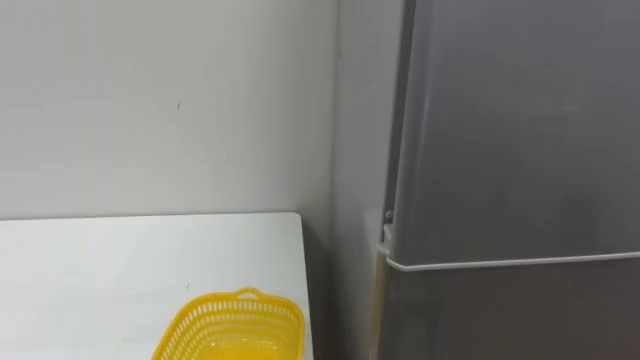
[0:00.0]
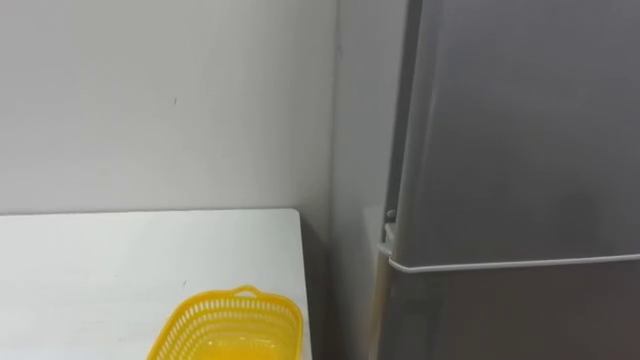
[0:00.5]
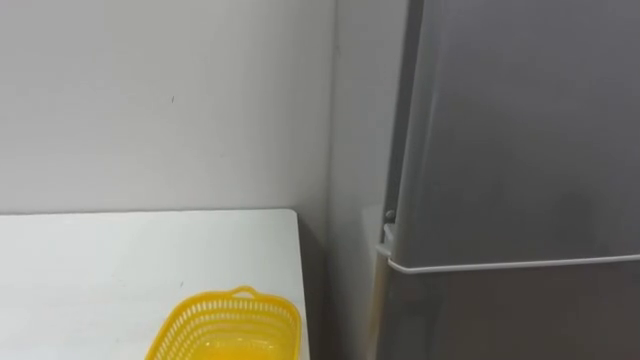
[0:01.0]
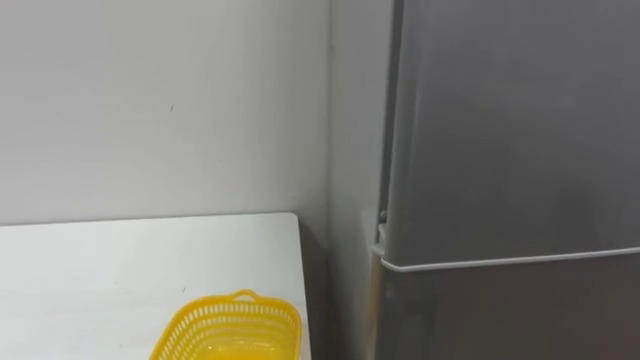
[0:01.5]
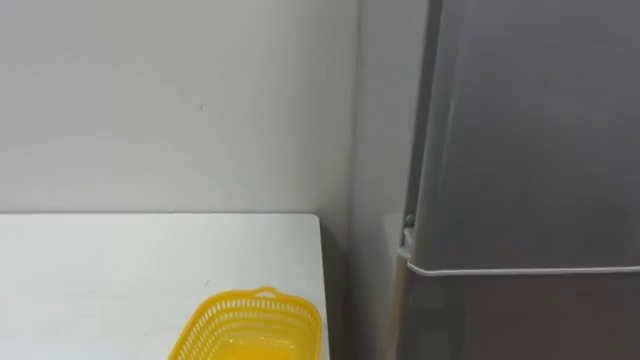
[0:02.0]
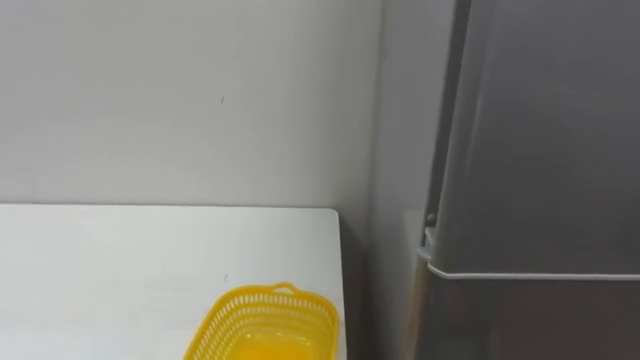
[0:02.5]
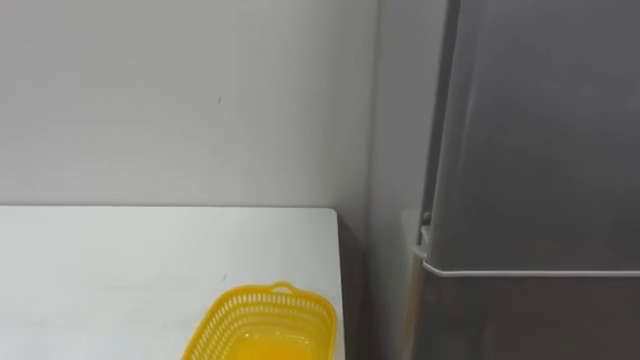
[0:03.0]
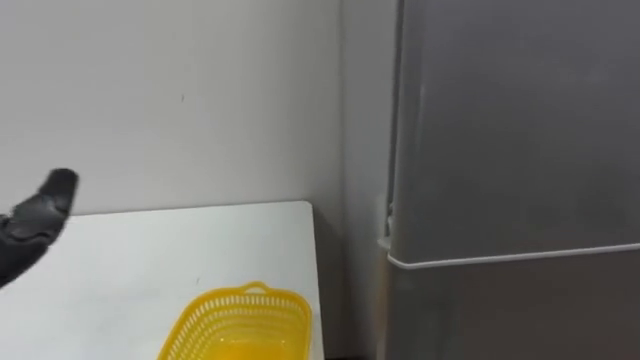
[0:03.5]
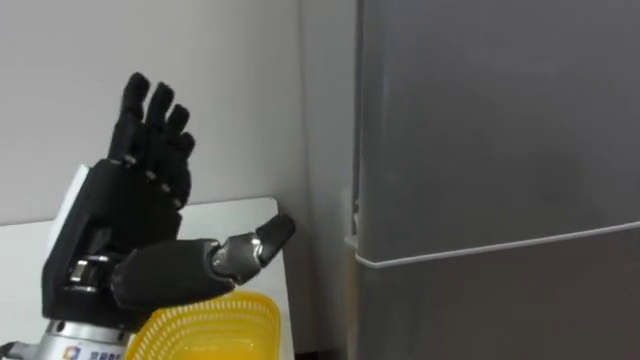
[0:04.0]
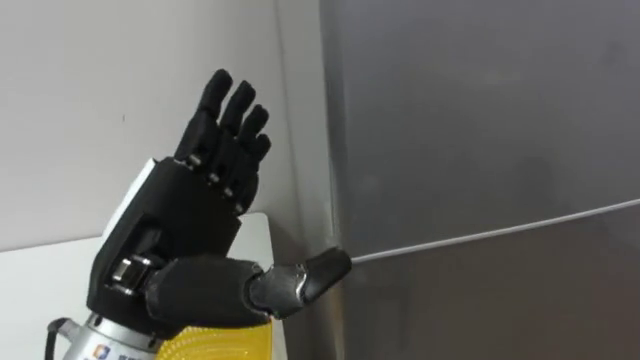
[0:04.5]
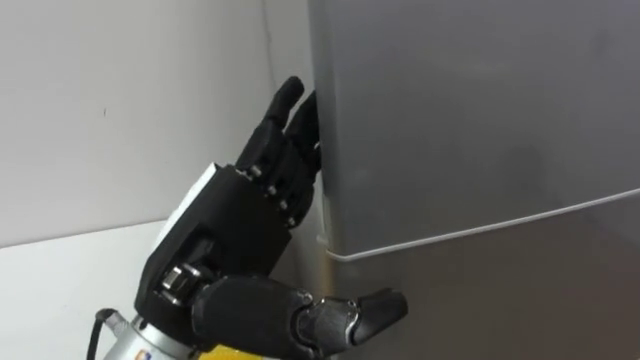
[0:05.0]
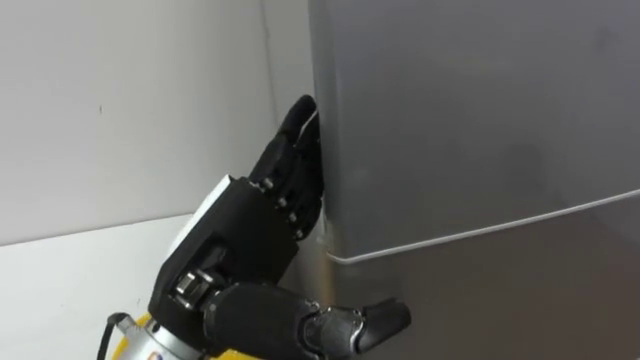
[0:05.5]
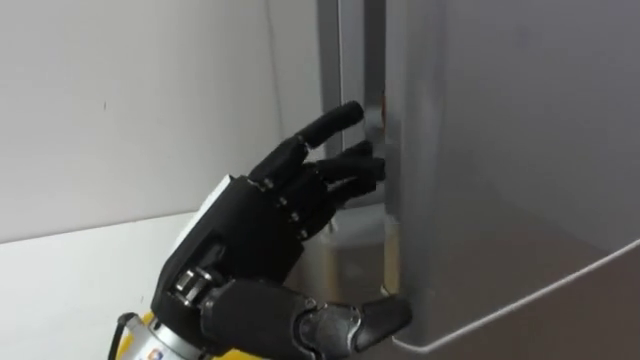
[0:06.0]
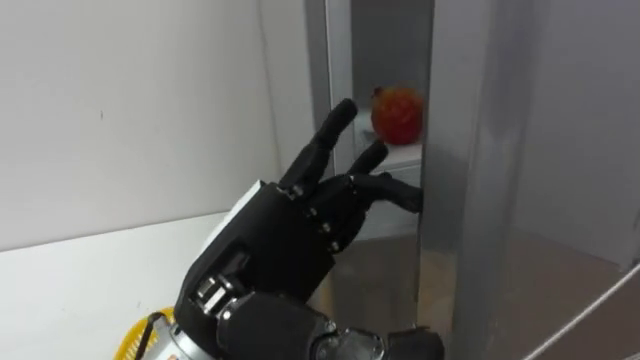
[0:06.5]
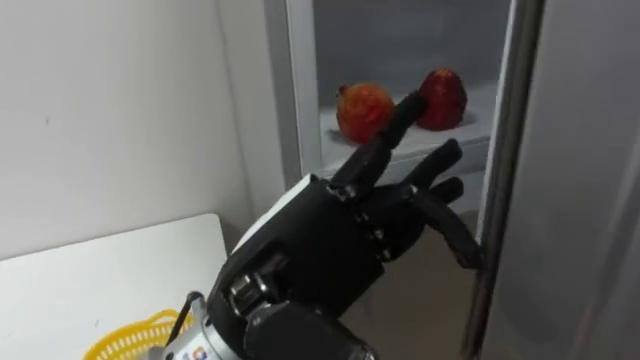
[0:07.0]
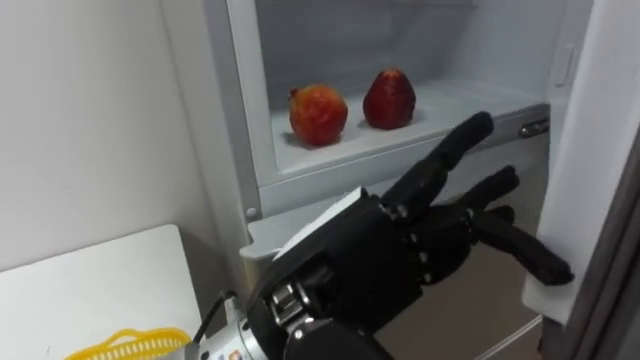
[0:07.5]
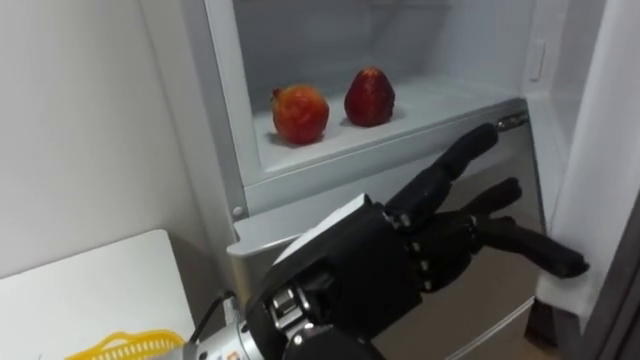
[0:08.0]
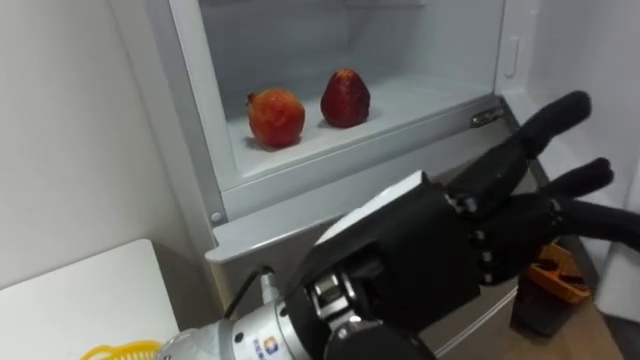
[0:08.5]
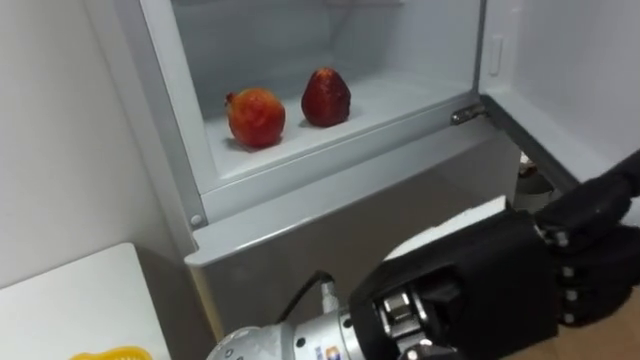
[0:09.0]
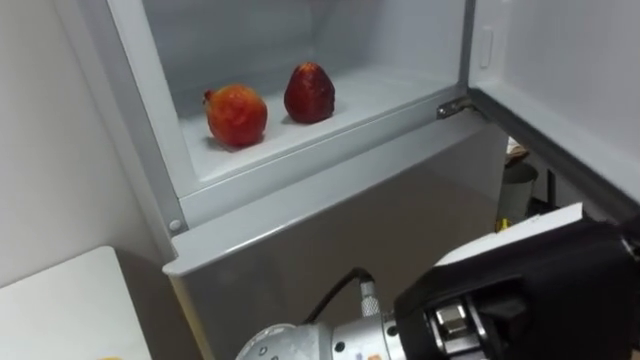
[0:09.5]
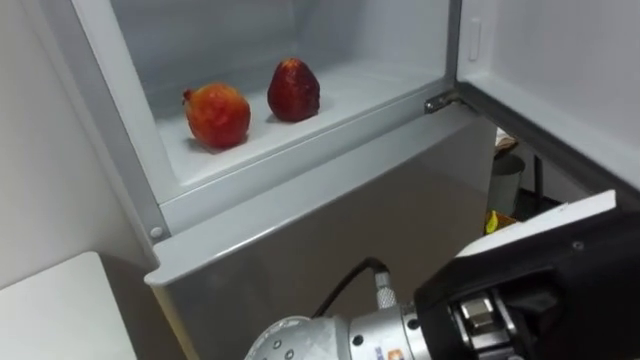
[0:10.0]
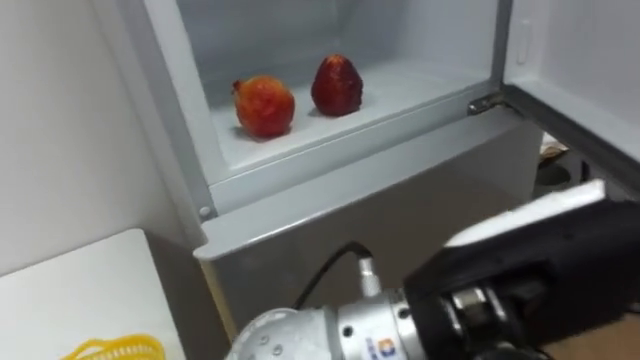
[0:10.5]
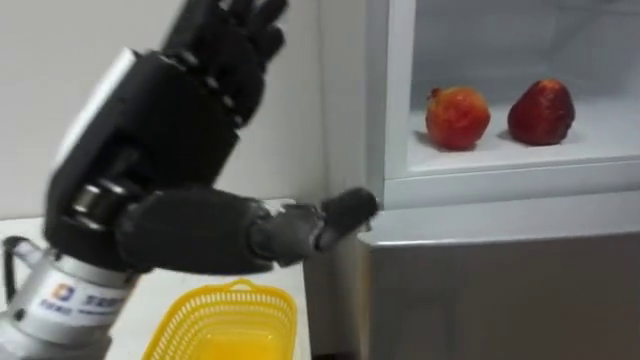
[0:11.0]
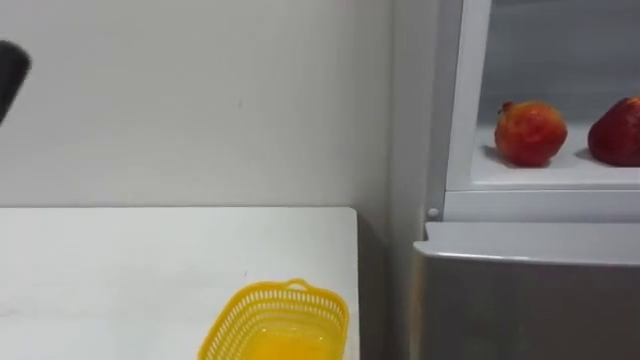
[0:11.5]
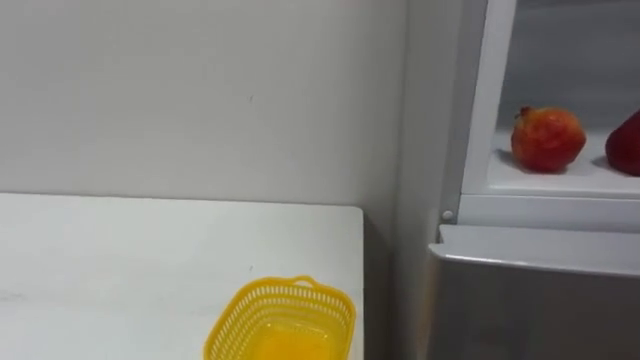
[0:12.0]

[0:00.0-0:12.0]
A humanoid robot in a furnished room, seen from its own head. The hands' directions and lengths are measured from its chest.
Task of the whole recording: Open the refrigerator door, take out the apple and the pomegranate, place them in the fruit basket on the left, and close the refrigerator door.
0:04.0 to 0:06.0: The left hand travels to the right by about 10 cm.
0:06.0 to 0:08.0: The left hand moves to the right, about 10 cm.
0:08.0 to 0:10.0: The left hand heads to the right and backward, covering approximately 10 cm.

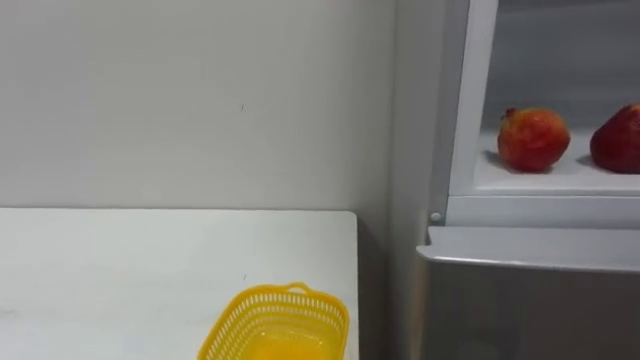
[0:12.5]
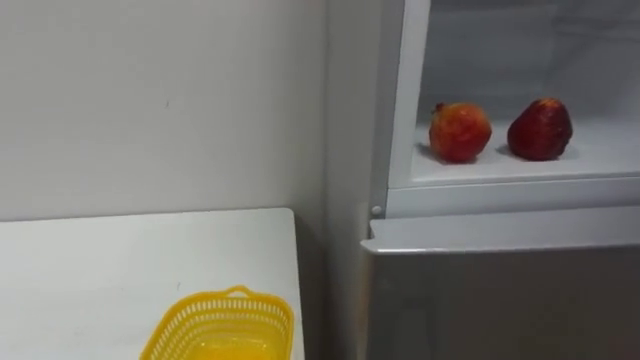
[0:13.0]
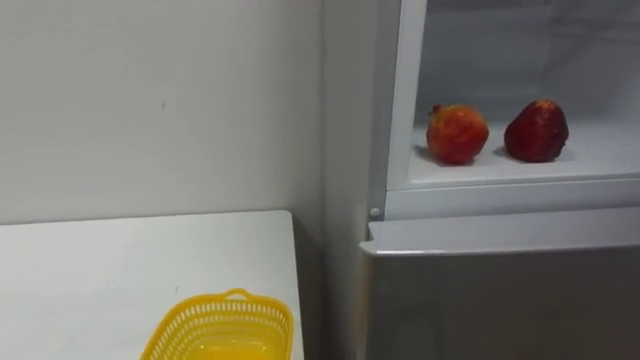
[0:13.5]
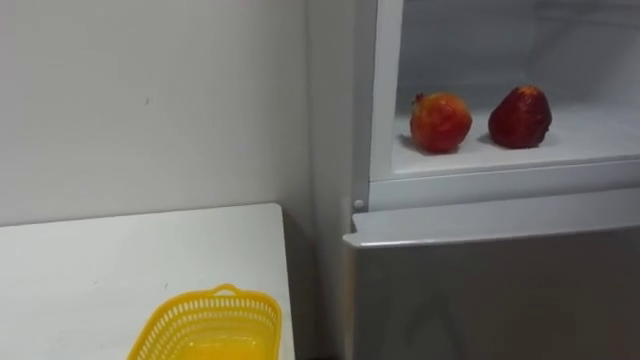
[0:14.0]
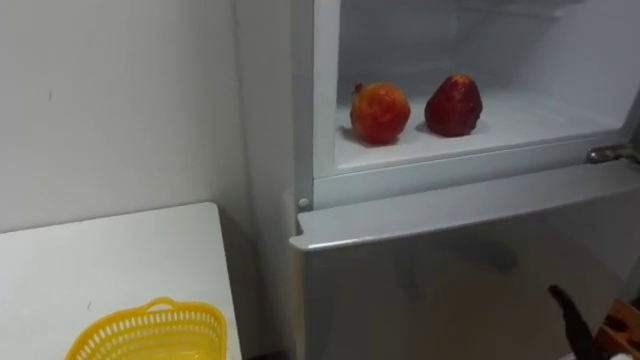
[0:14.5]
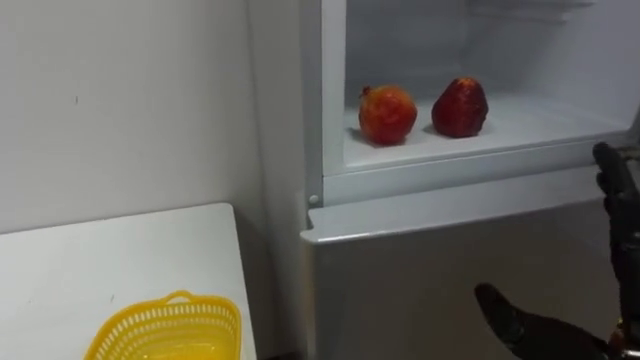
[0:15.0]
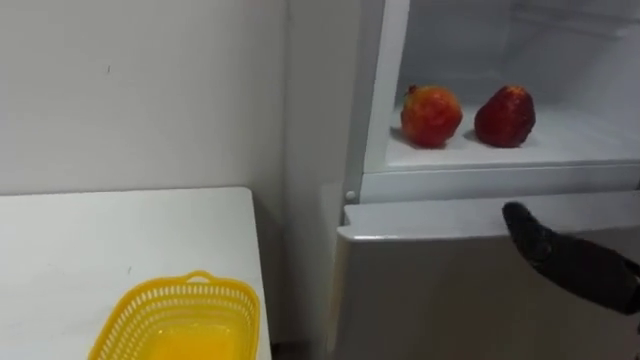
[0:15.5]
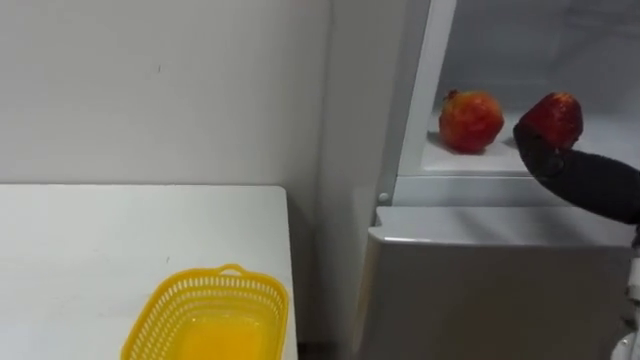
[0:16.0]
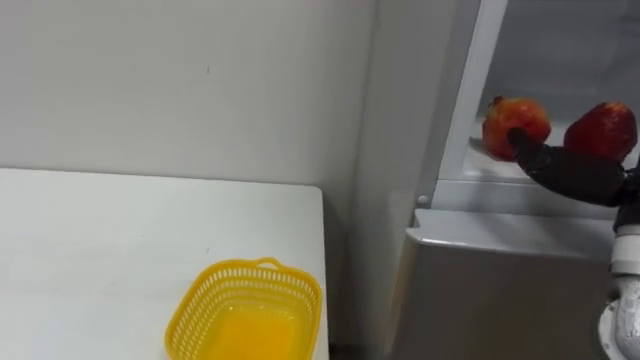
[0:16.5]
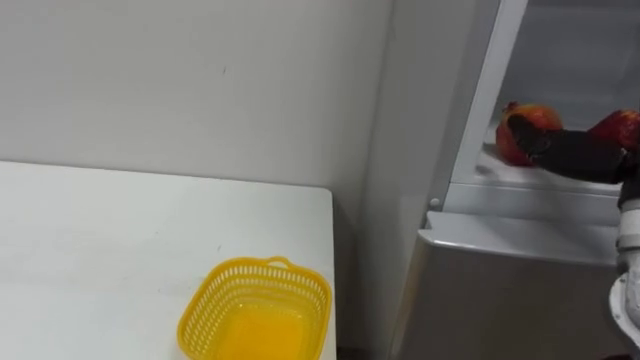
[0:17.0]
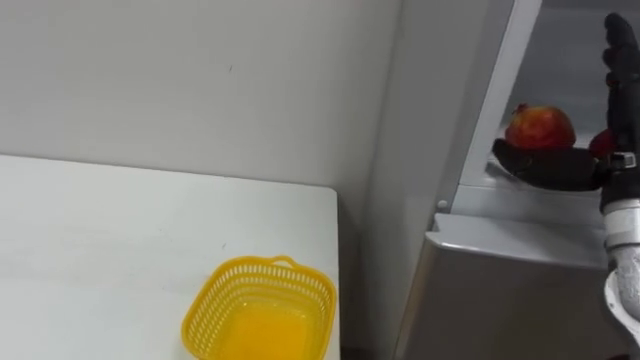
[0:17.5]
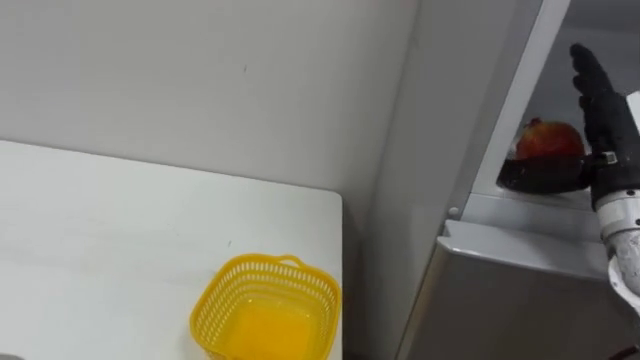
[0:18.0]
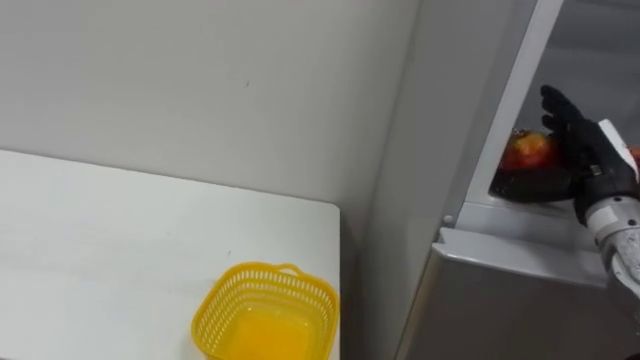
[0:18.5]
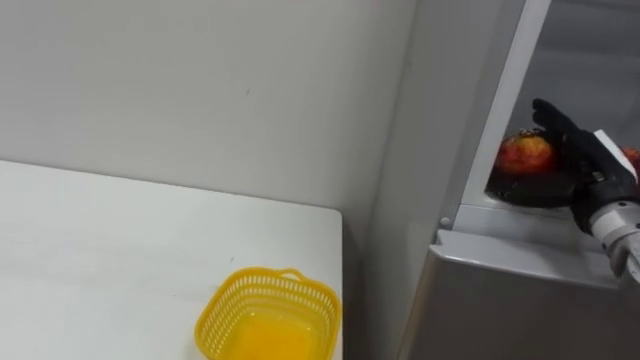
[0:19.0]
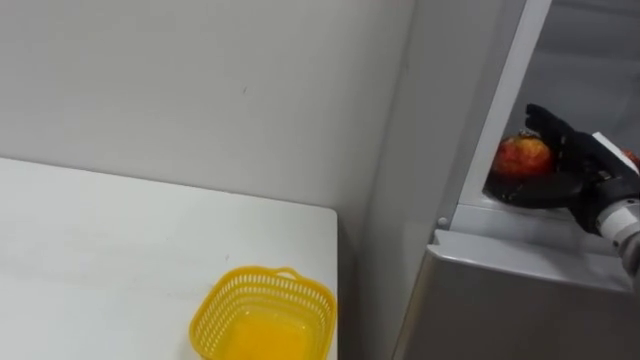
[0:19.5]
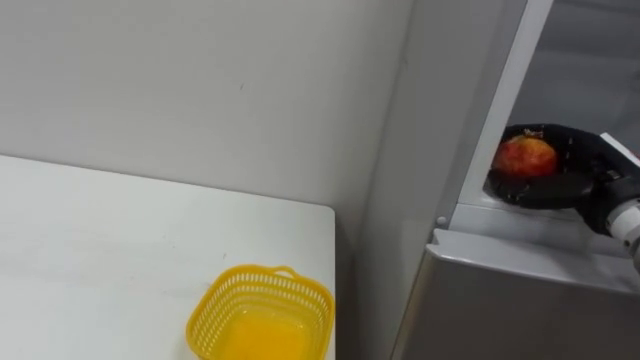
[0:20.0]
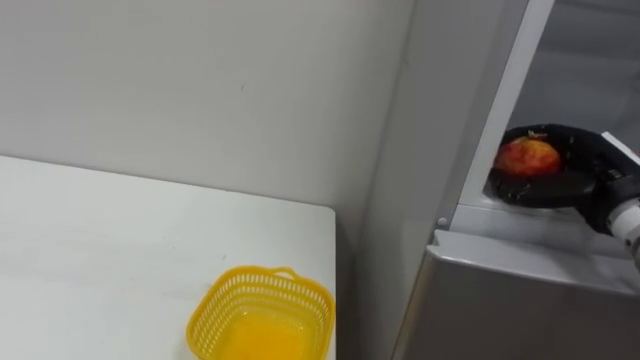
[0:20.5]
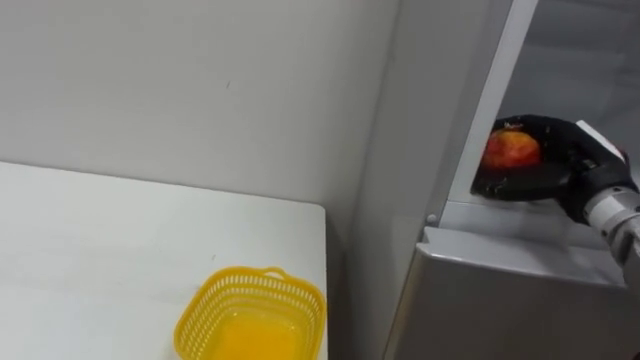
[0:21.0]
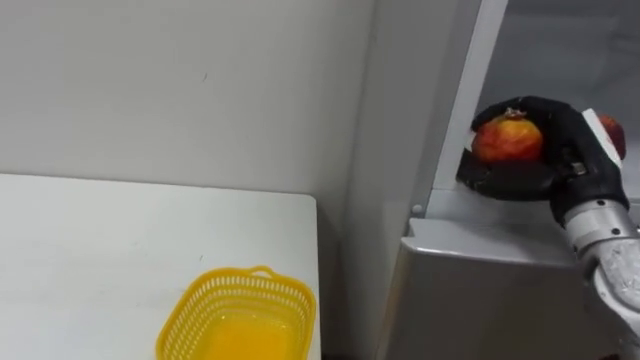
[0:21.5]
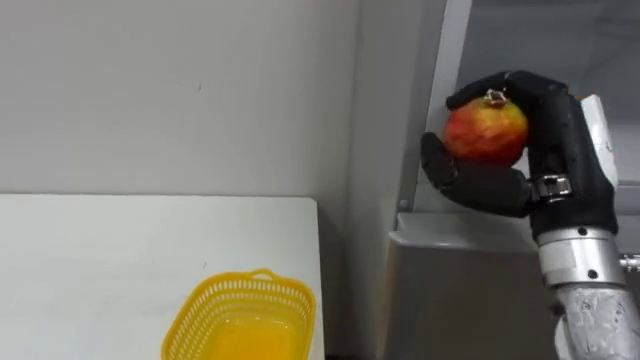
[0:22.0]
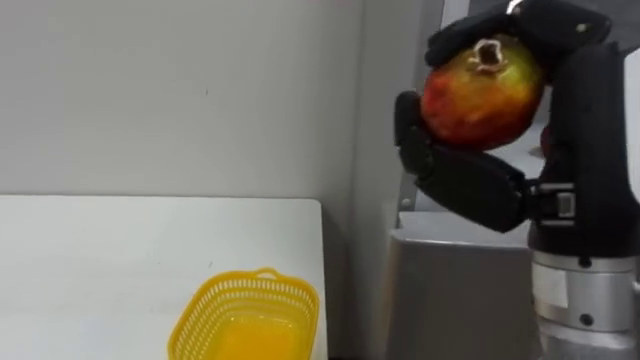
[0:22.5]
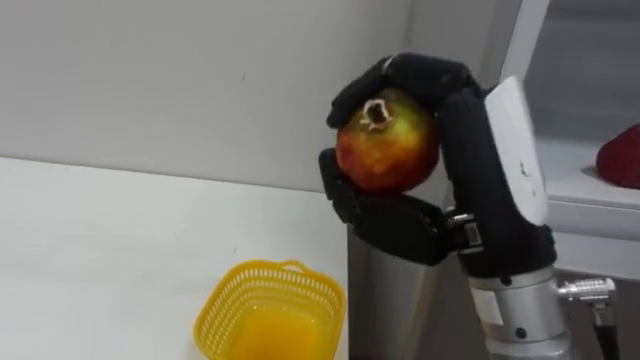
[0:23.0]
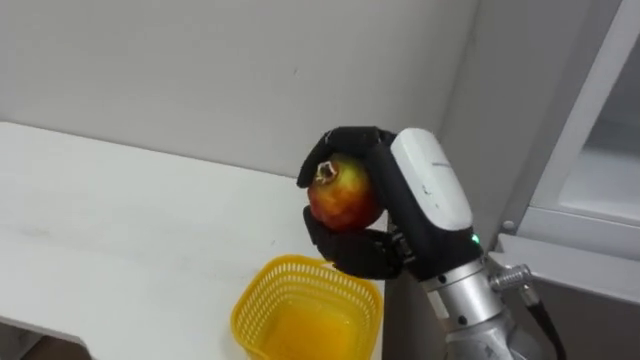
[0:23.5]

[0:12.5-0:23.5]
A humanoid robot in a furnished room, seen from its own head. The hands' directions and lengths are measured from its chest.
Task of the whole recording: Open the refrigerator door, take out the apple and the pomegranate, place them in the fruit basket on the left, and close the refrigerator door.
0:18.0 to 0:20.0: The right hand is displaced downward by approximately 5 cm, and closes up.
0:20.0 to 0:21.5: The right hand is displaced to the left by approximately 5 cm.
0:21.5 to 0:23.5: The right hand goes roughly 20 cm to the left and backward.
